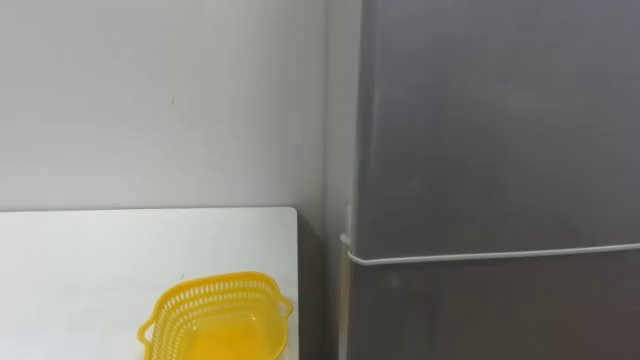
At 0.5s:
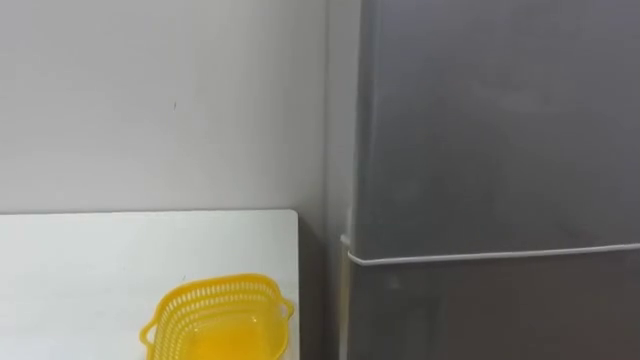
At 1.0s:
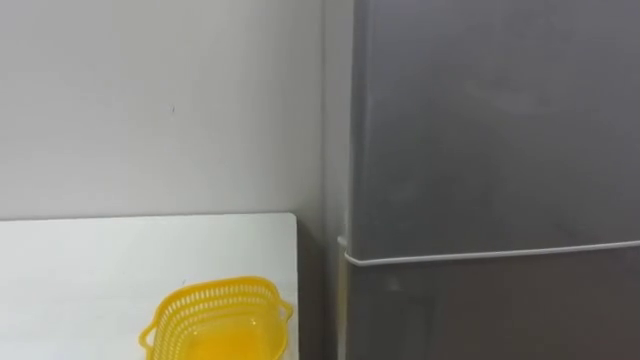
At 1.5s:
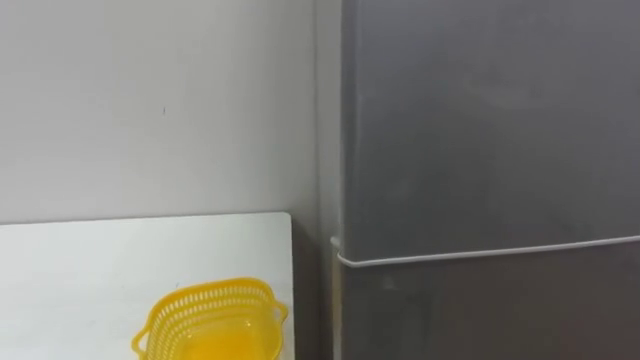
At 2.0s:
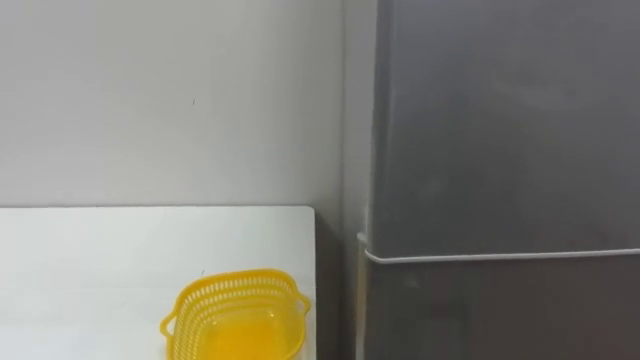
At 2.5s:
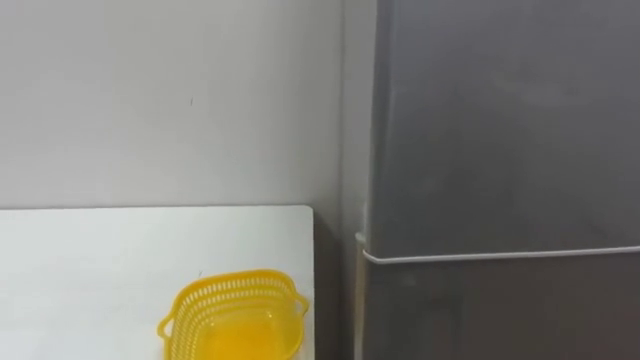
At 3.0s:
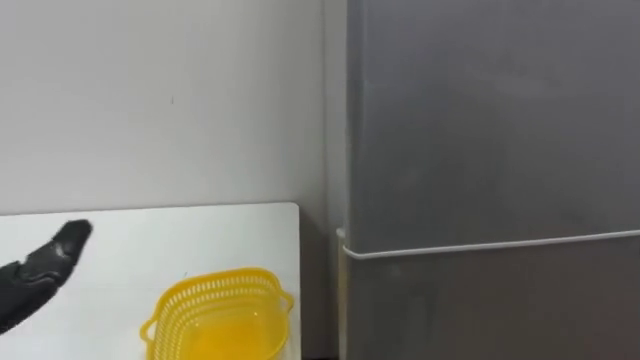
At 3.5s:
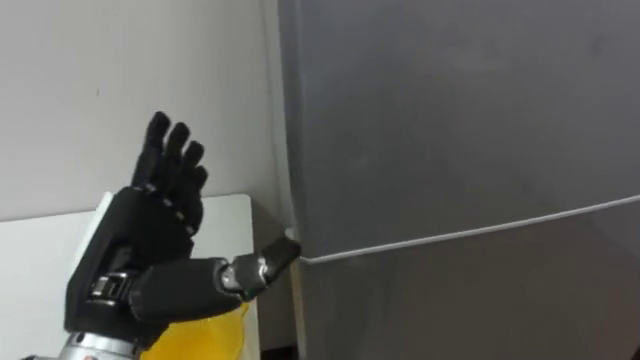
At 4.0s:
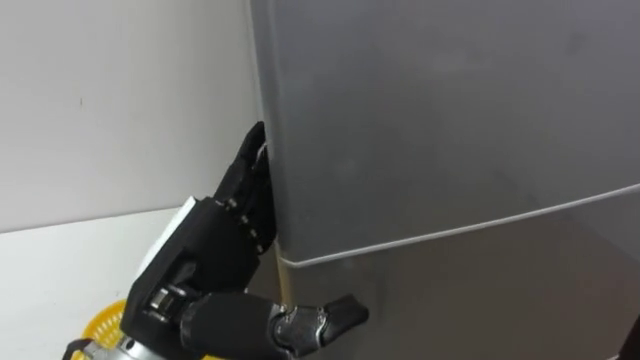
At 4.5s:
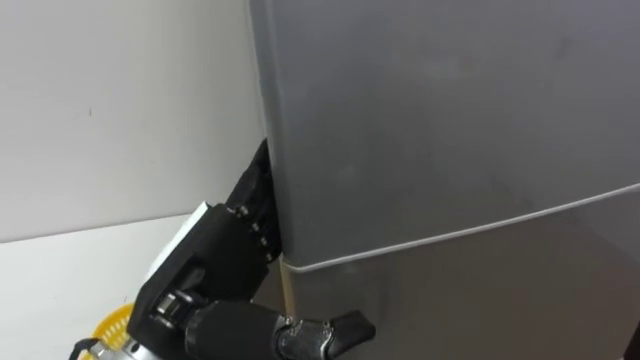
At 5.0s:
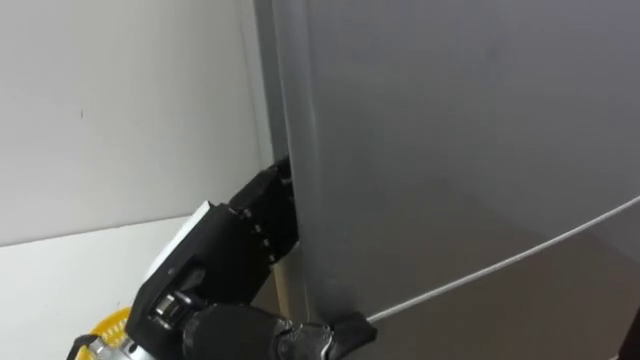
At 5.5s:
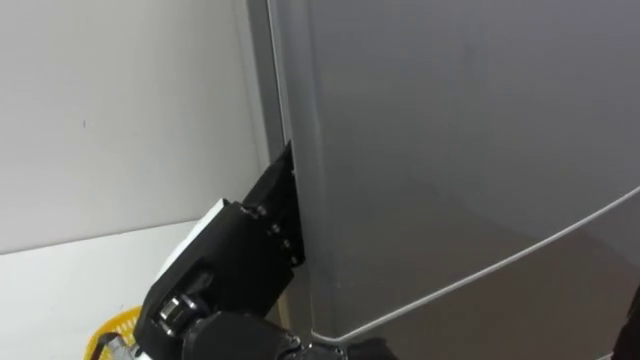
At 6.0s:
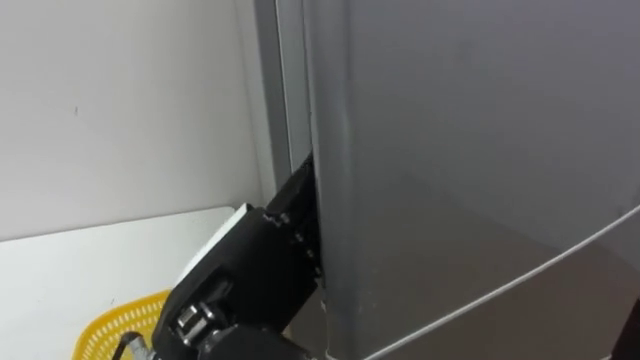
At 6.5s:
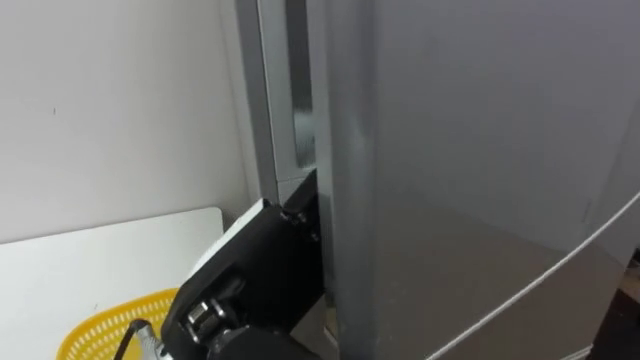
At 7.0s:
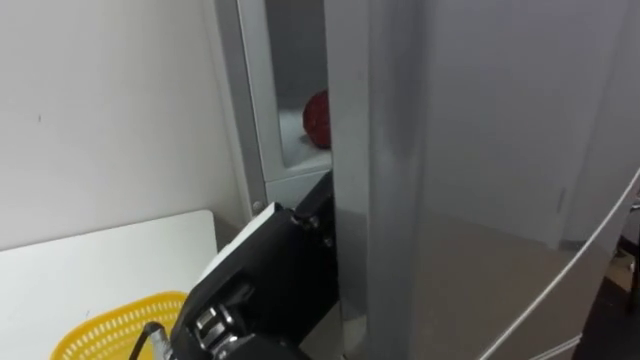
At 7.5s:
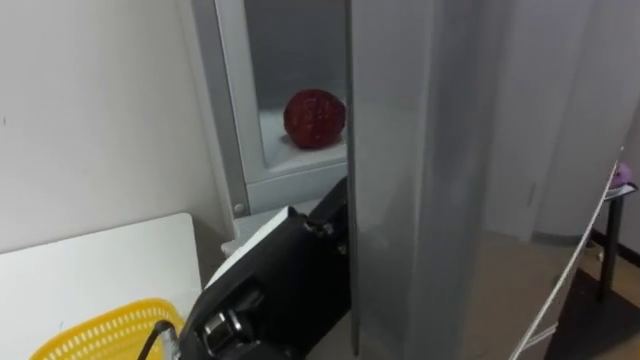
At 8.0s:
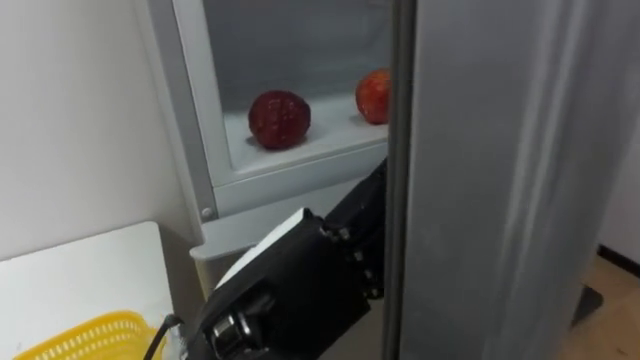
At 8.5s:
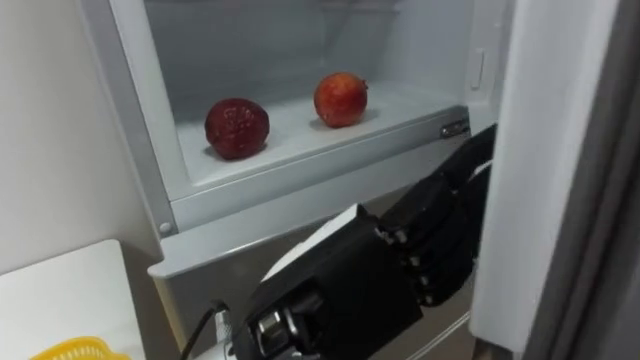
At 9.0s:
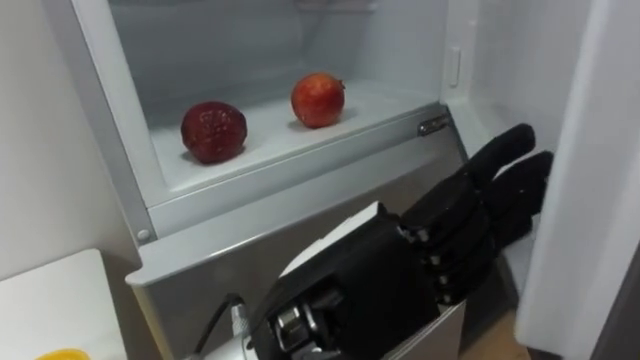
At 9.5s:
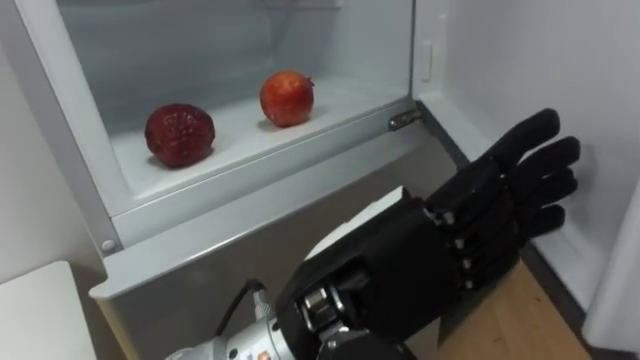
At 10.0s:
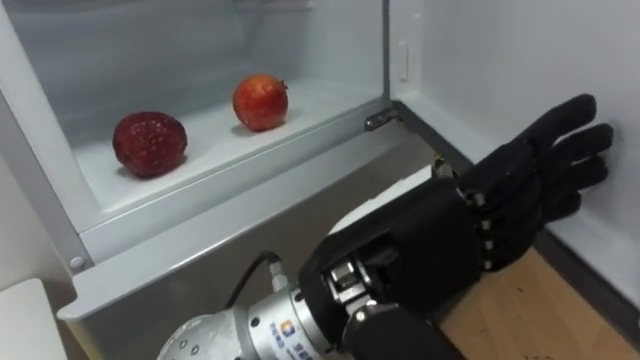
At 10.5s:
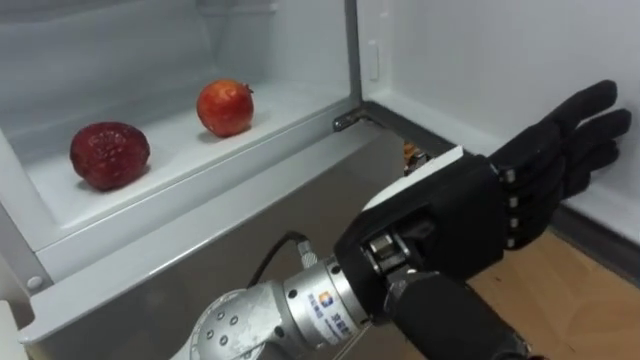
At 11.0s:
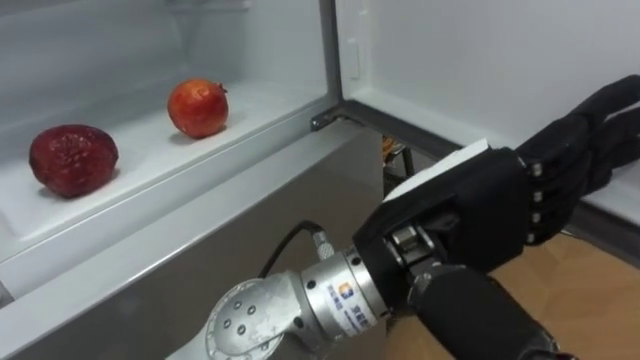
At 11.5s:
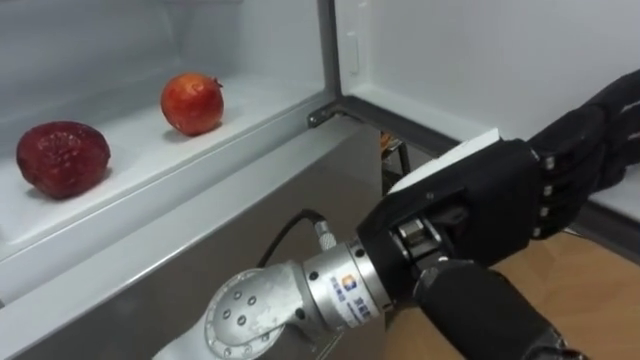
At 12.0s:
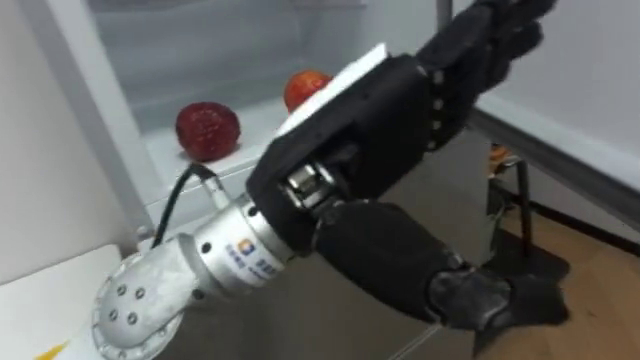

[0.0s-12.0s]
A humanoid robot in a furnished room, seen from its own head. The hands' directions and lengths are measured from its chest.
Task of the whole recording: Open the refrigerator door, take out the apple and the pomegranate, place them in the fruit basket on the left, and close the refrigerator door.
8.0s to 10.0s: The left hand goes some 5 cm to the right.
10.0s to 12.0s: The left hand travels upward by approximately 5 cm.

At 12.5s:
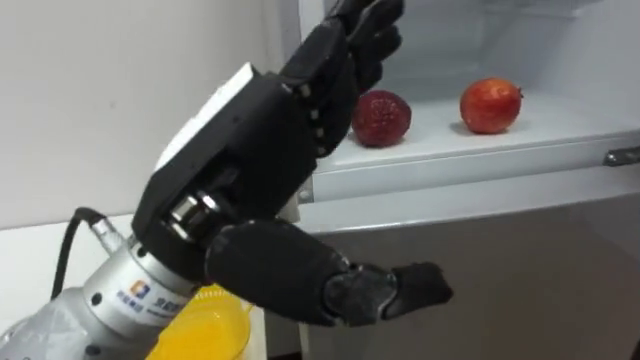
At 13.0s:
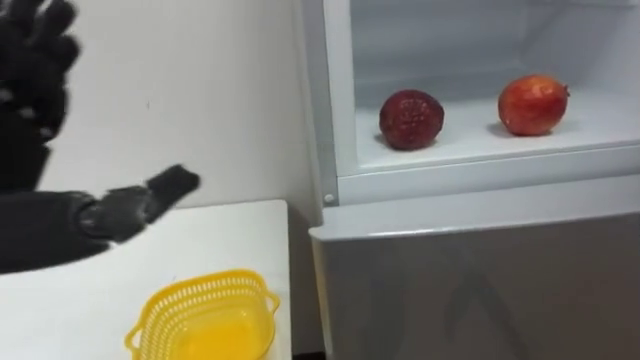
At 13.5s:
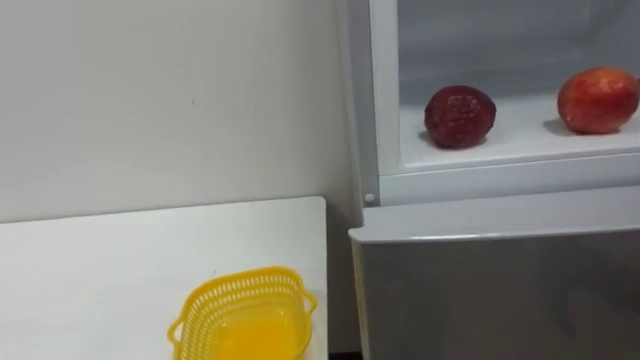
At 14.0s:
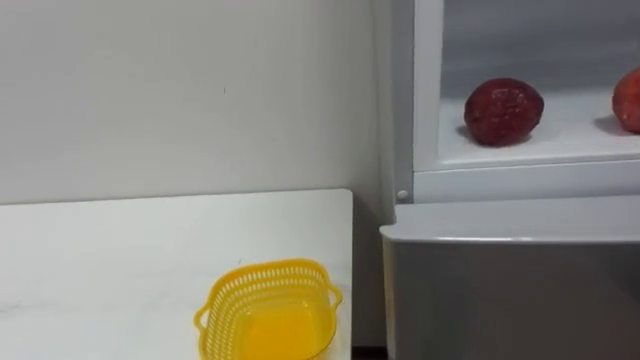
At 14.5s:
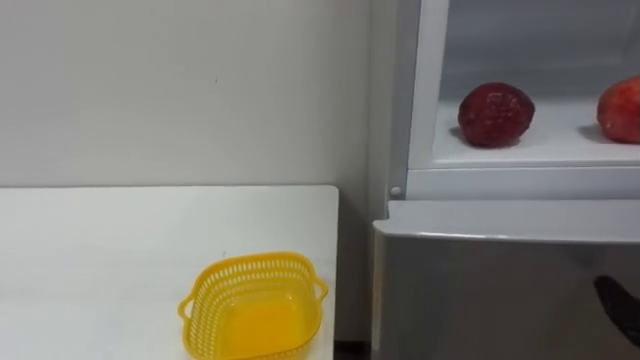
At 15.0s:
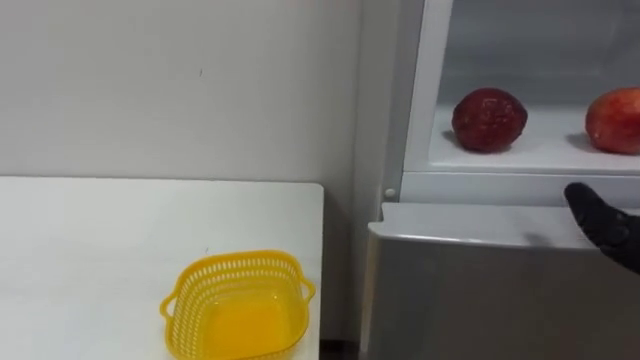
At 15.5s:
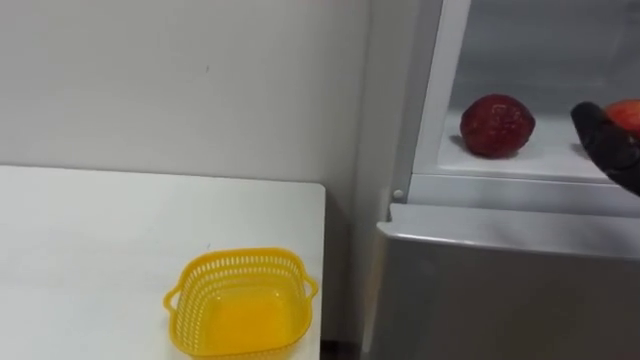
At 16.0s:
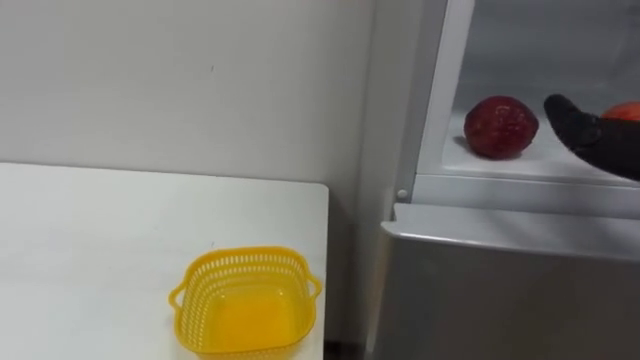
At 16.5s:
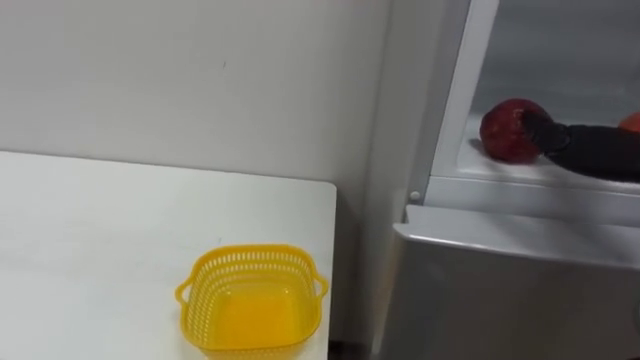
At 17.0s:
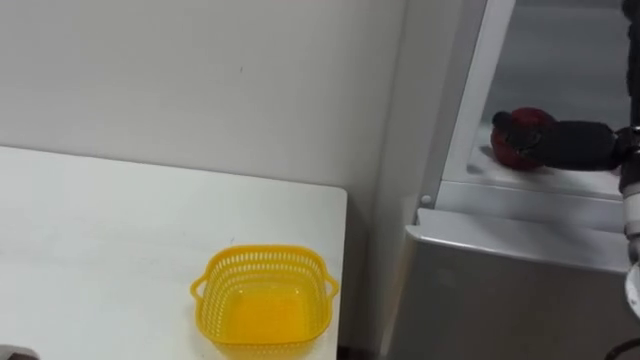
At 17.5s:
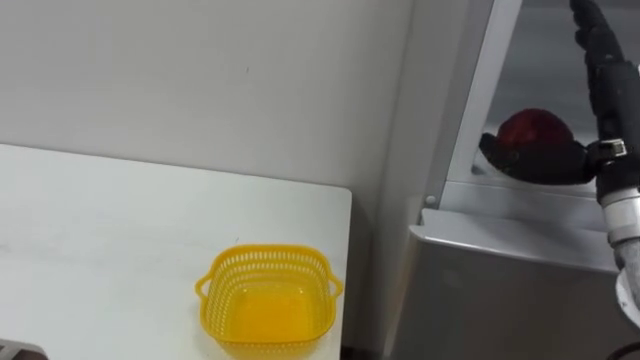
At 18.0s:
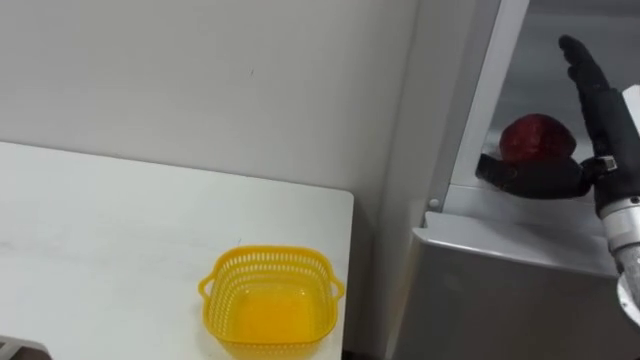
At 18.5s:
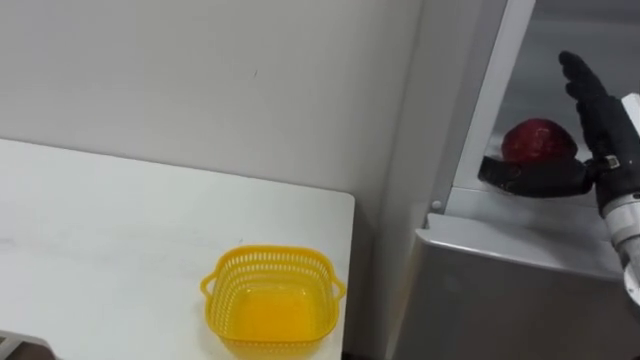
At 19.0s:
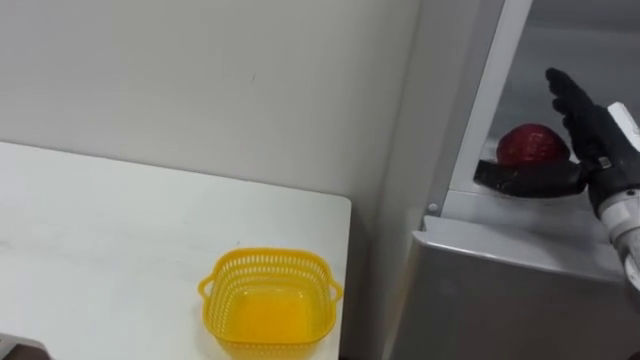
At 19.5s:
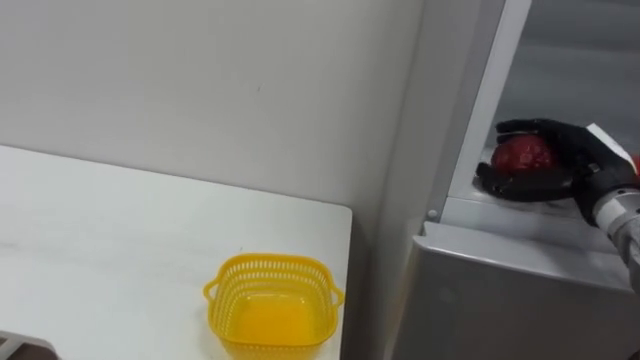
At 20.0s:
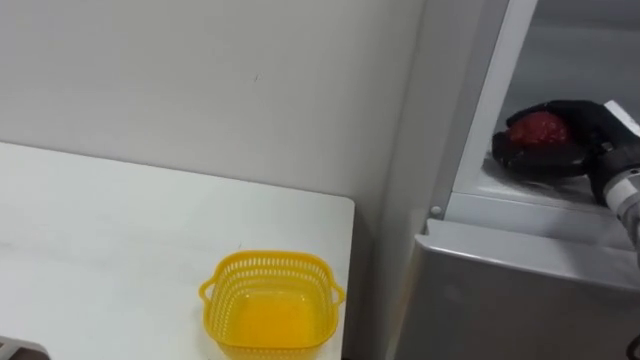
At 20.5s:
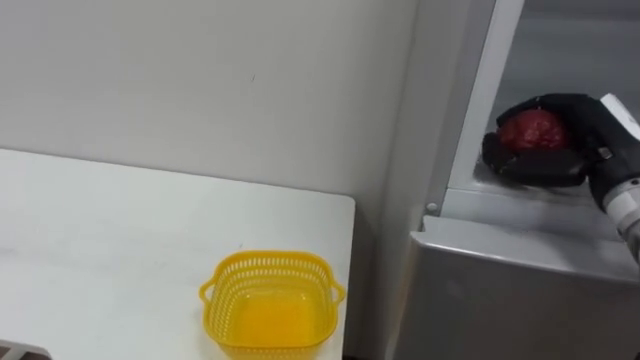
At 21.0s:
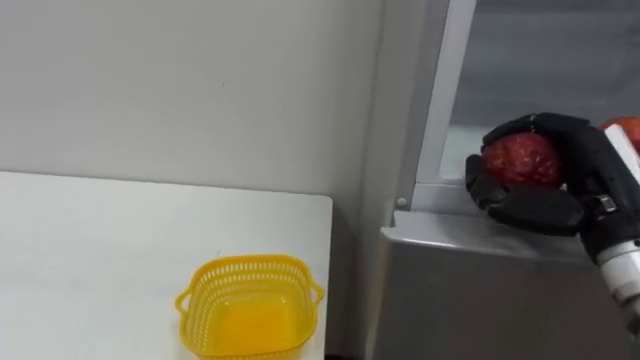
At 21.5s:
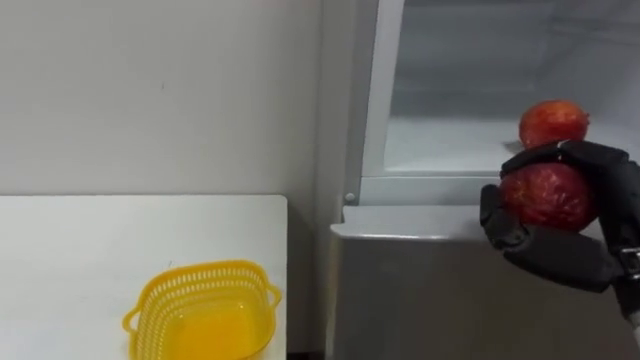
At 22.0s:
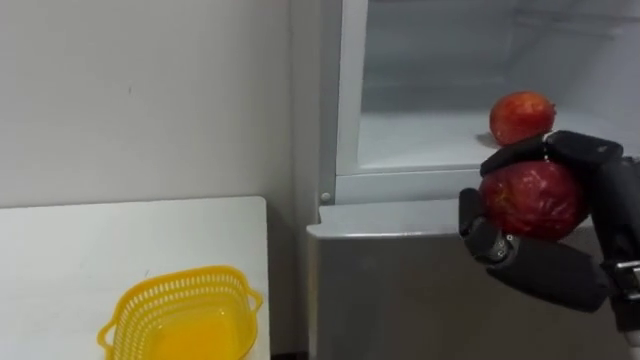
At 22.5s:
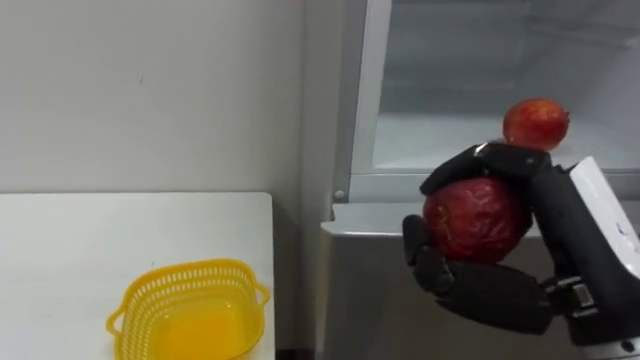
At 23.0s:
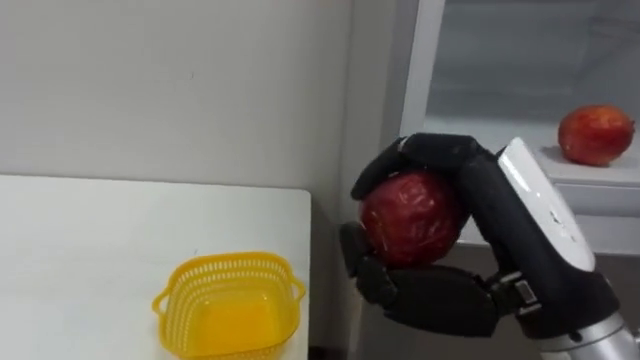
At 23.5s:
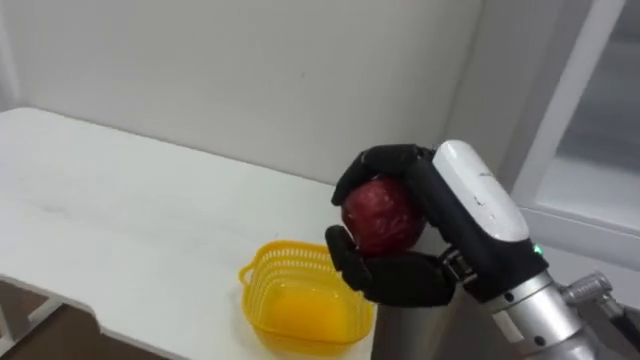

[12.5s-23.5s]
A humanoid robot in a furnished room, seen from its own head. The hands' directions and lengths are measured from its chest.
Task of the whole recording: Open the refrigerator door, take out the apple and the pomegranate, place them in the fruit basket on the left, and close the refrigerator door.
18.0s to 20.0s: The right hand heads forward, covering roughly 5 cm, and closes.
20.0s to 21.5s: The right hand moves backward, roughly 15 cm.
21.5s to 23.5s: The right hand goes some 15 cm to the left.
